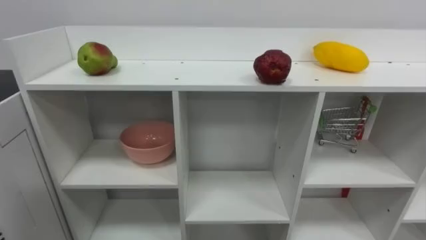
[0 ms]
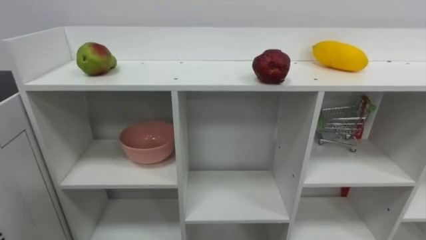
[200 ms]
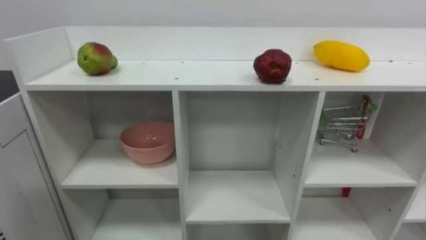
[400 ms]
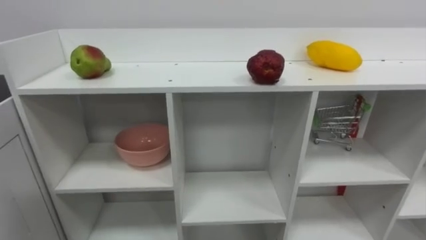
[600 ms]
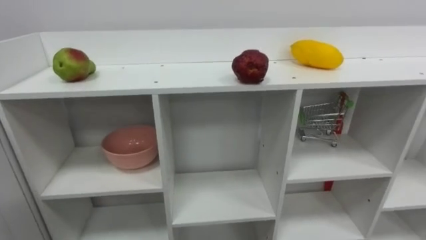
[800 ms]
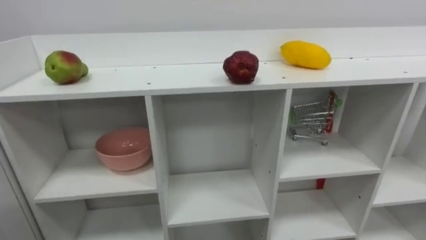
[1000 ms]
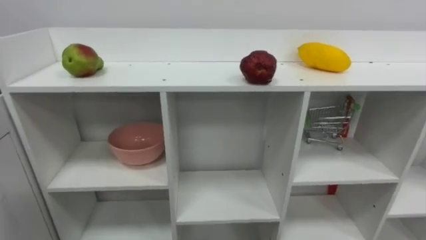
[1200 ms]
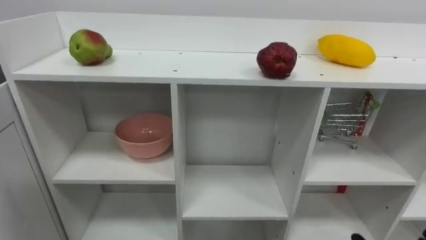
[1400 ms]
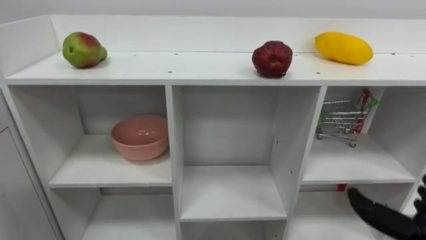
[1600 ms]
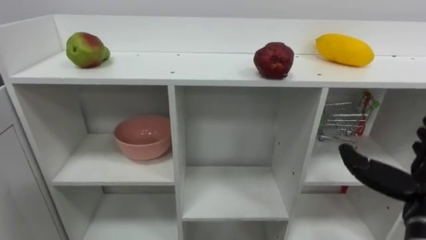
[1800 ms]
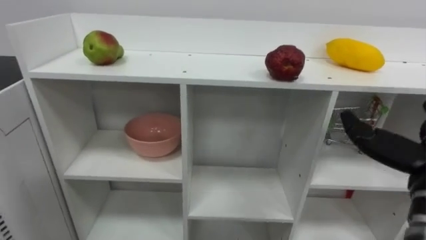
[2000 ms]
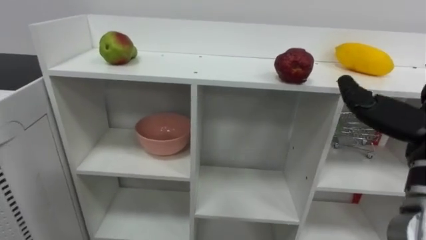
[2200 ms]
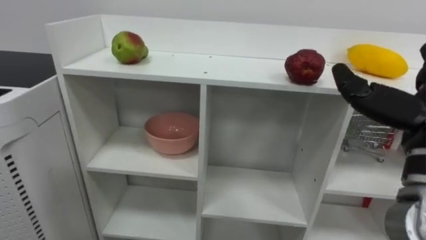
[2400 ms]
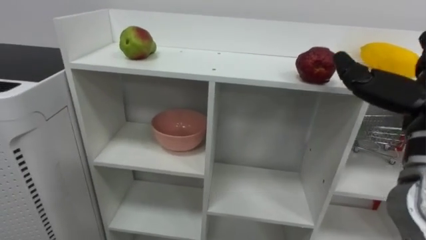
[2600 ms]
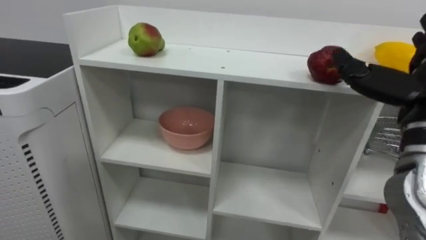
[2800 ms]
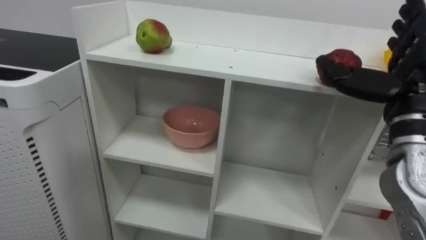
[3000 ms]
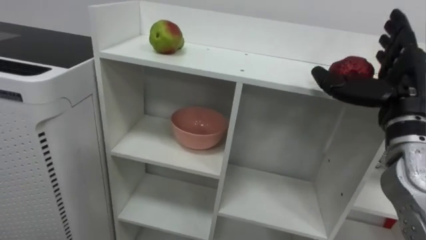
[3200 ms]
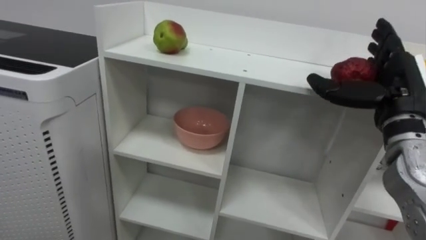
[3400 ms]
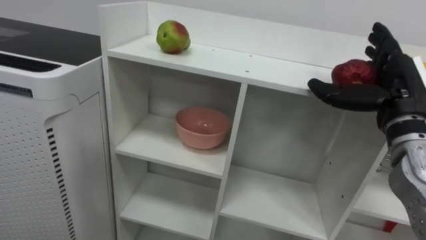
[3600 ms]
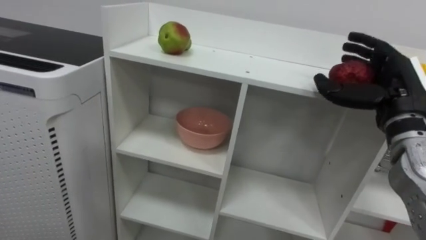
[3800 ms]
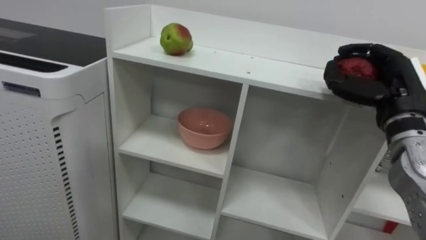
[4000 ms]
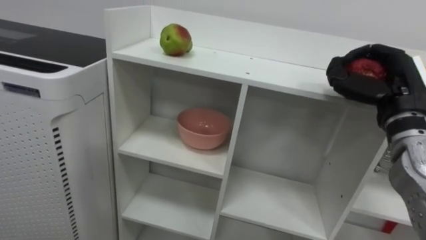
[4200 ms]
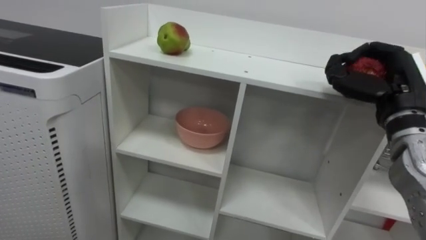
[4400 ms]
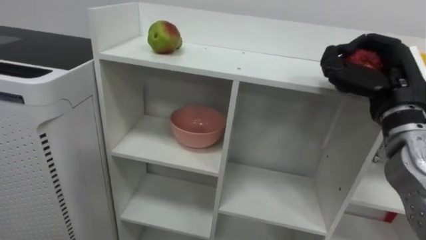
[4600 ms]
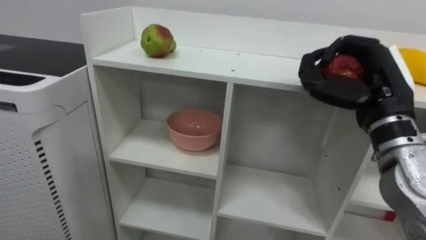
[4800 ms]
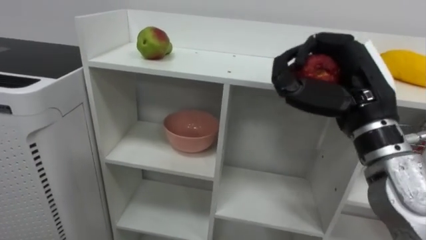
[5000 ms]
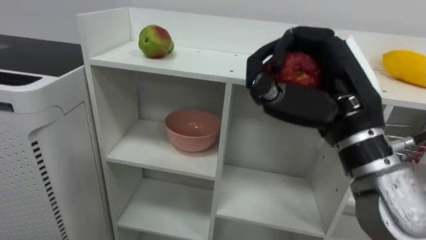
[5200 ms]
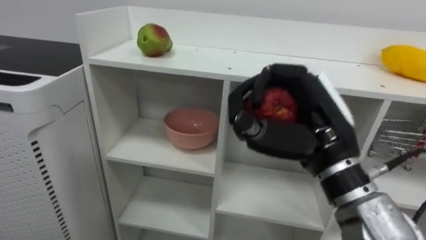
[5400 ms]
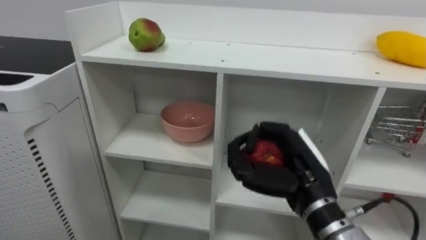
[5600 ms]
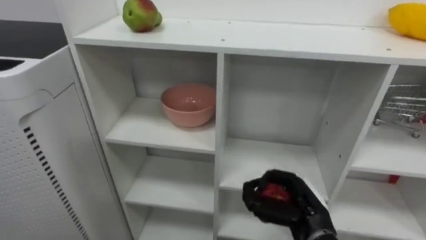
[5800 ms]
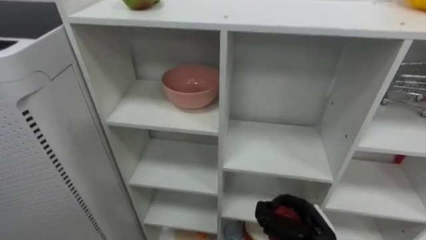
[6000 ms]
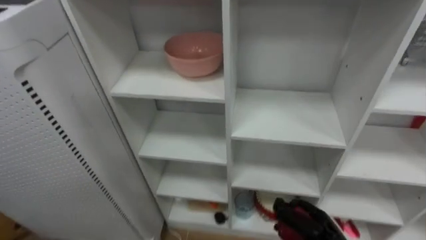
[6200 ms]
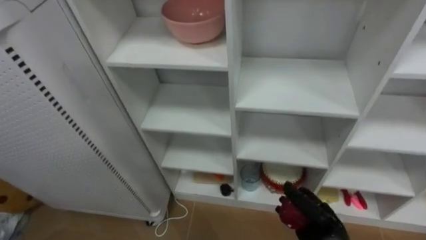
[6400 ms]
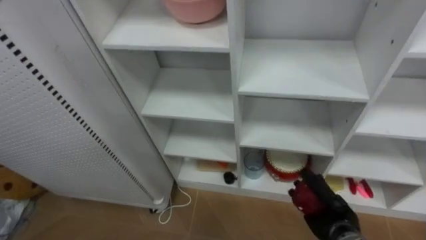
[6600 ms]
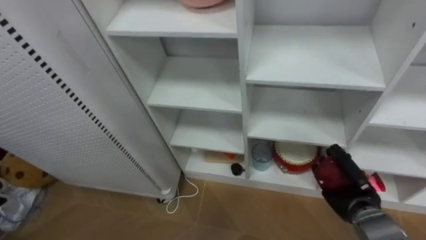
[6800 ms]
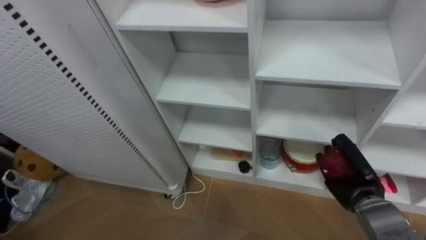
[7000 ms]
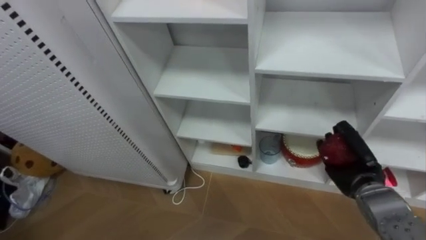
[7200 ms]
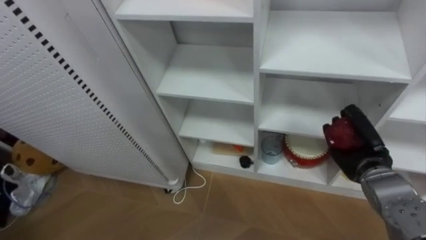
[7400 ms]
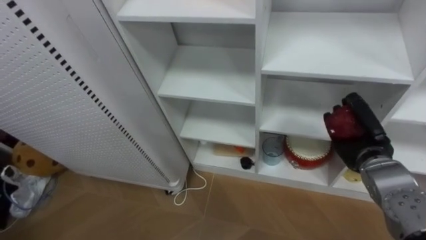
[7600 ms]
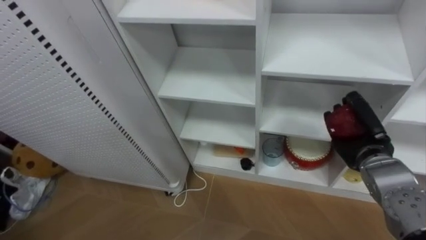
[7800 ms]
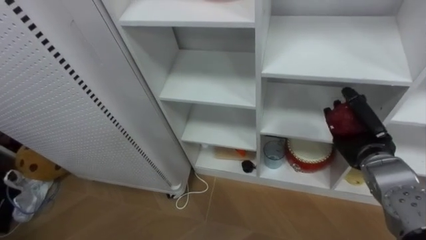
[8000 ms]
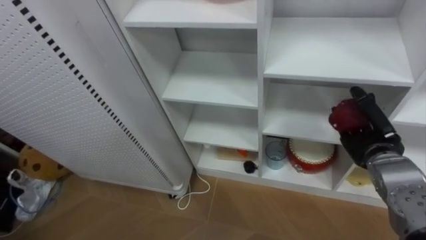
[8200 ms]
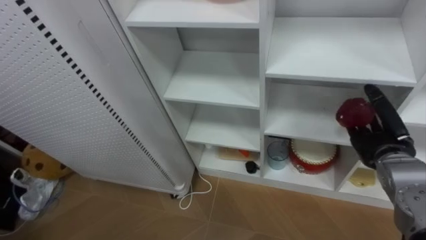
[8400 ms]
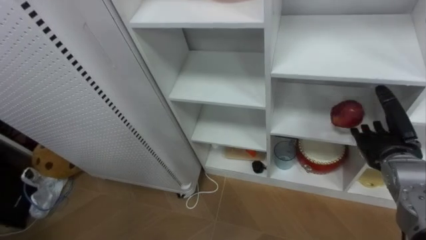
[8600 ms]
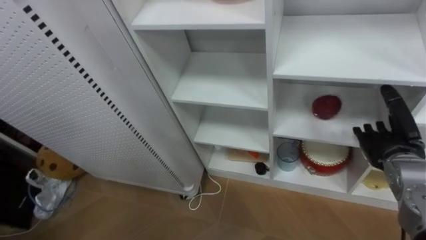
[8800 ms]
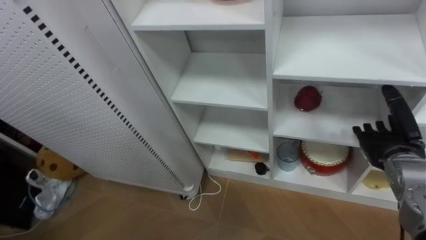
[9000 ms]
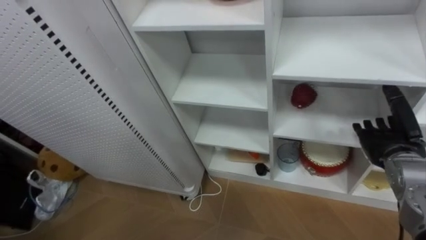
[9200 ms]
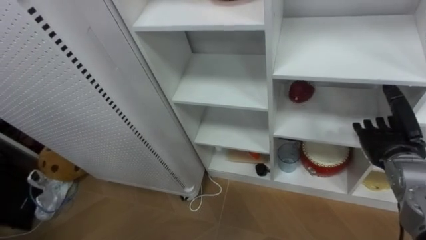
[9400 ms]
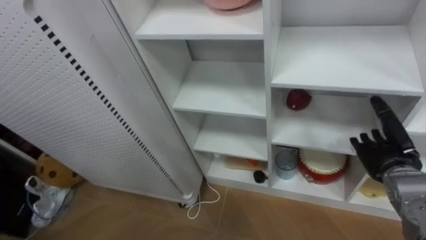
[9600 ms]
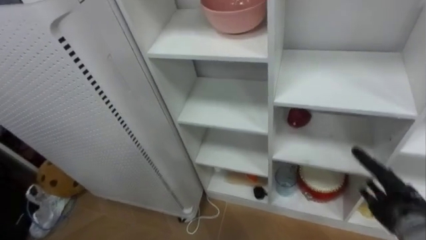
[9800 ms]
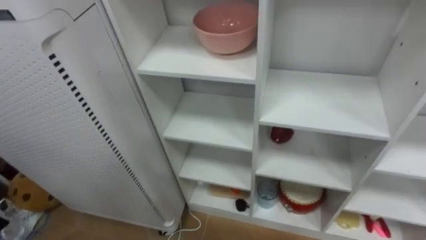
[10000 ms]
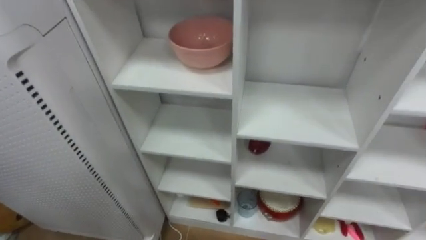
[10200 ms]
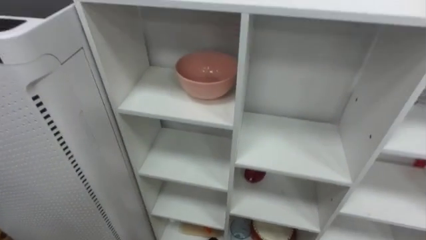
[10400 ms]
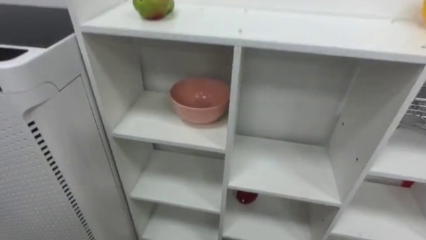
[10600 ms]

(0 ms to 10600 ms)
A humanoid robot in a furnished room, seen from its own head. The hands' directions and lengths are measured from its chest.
Task of the whole recording: Put the apple in the cell in the second column from the left and the second row from the top.
3000 ms - 4600 ms: The right hand closes up.
4600 ms - 6000 ms: The right hand moves downward, some 25 cm.
6000 ms - 7600 ms: The right hand heads upward, to the right and forward, covering some 20 cm.
7600 ms - 9000 ms: The right hand opens up.
